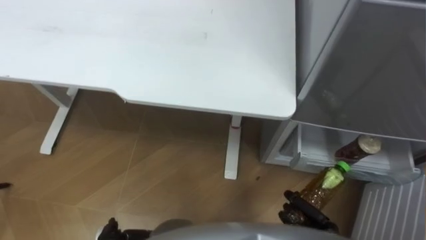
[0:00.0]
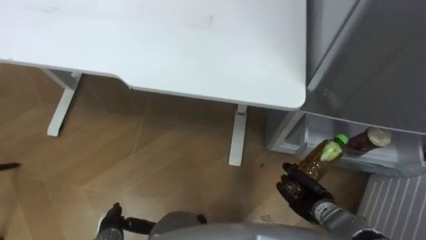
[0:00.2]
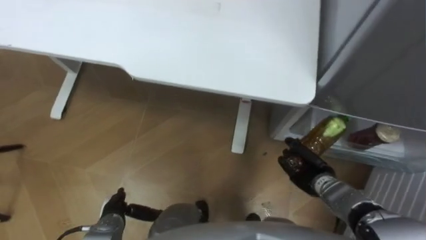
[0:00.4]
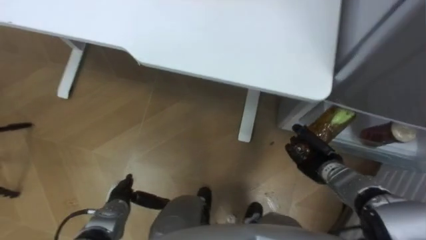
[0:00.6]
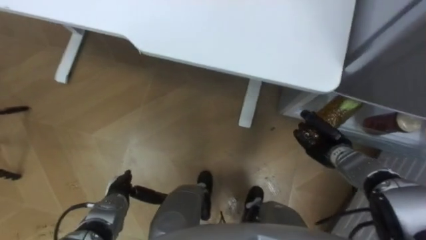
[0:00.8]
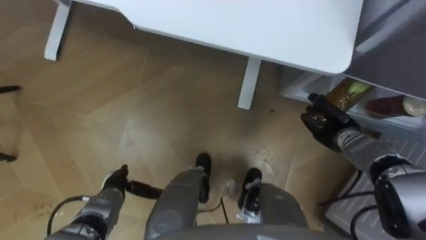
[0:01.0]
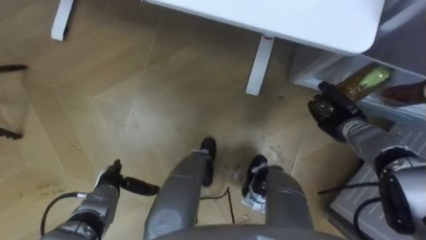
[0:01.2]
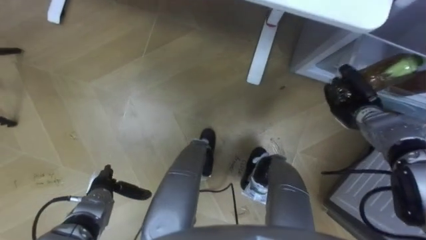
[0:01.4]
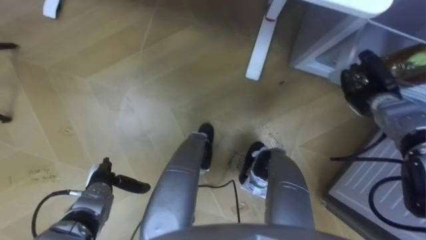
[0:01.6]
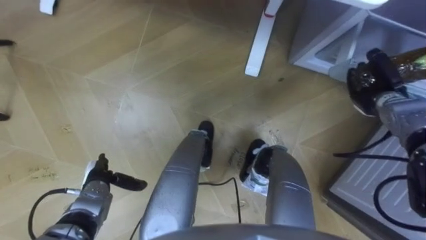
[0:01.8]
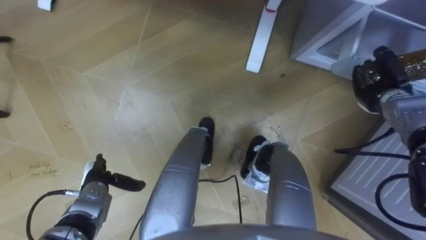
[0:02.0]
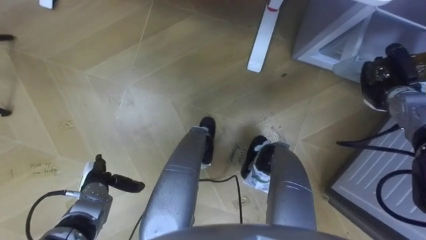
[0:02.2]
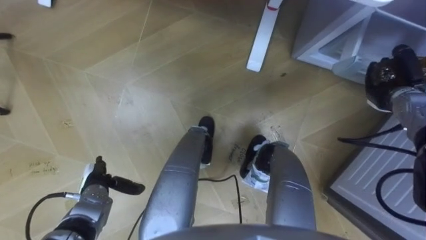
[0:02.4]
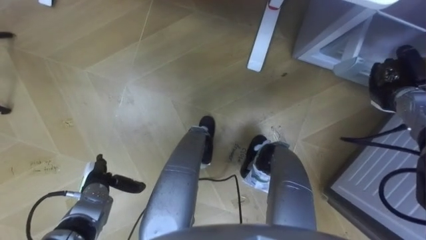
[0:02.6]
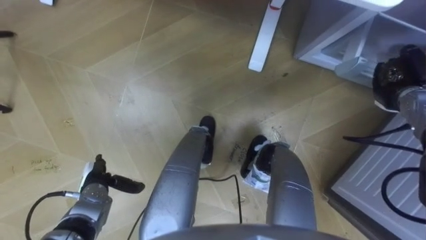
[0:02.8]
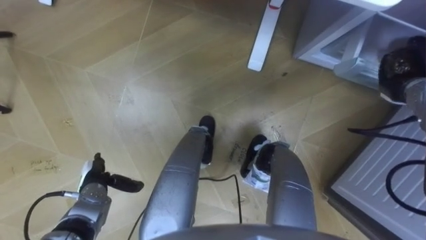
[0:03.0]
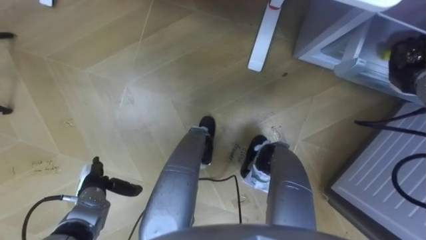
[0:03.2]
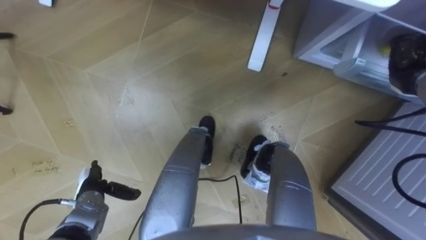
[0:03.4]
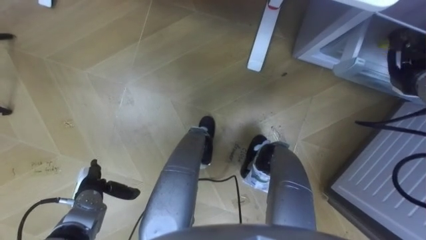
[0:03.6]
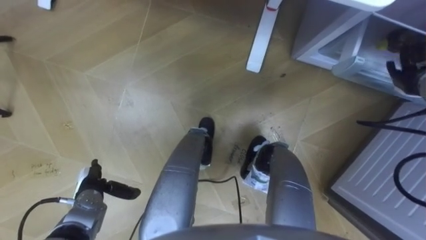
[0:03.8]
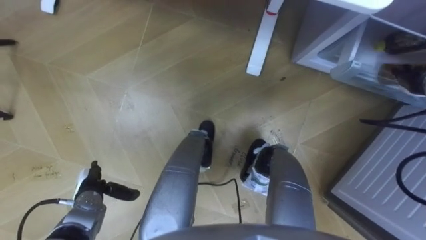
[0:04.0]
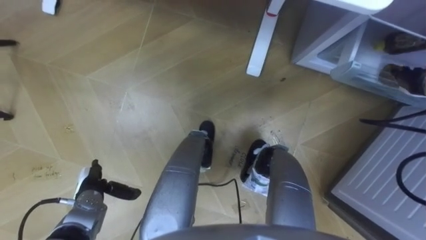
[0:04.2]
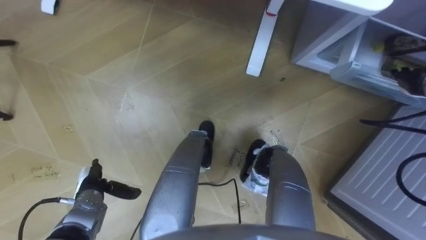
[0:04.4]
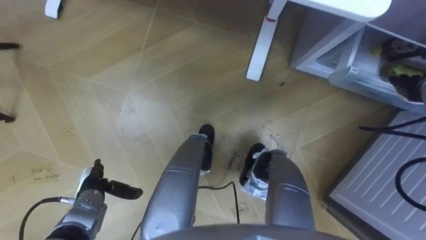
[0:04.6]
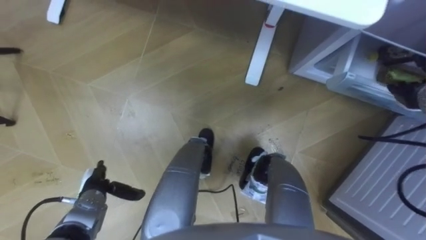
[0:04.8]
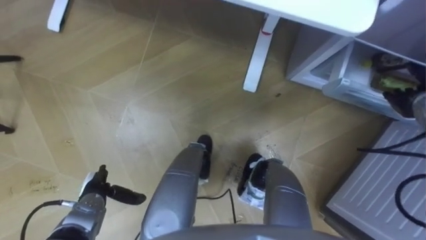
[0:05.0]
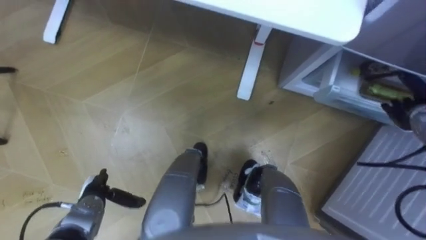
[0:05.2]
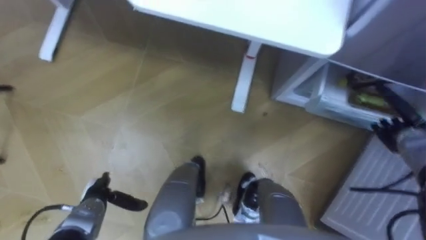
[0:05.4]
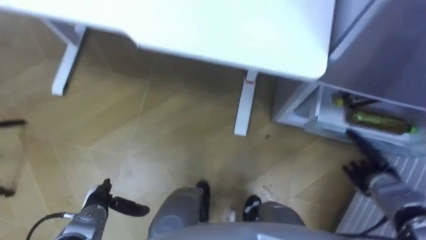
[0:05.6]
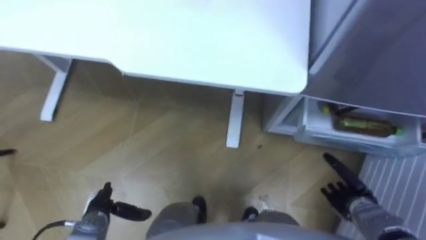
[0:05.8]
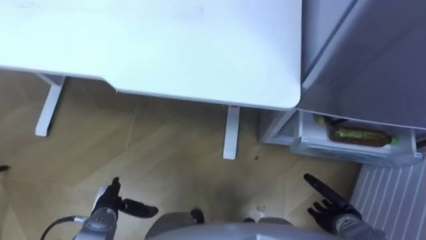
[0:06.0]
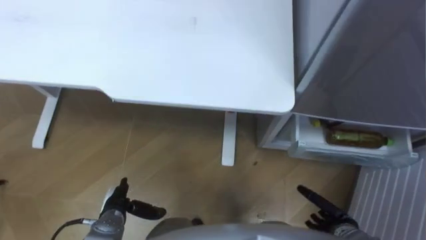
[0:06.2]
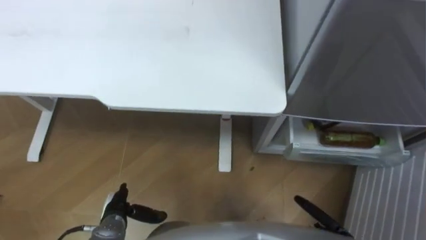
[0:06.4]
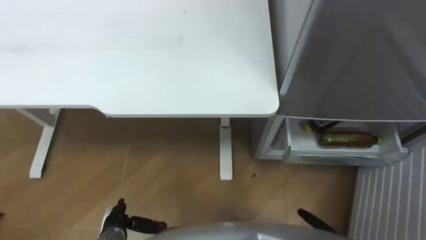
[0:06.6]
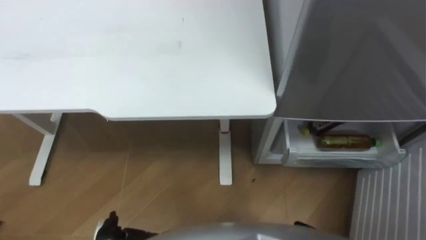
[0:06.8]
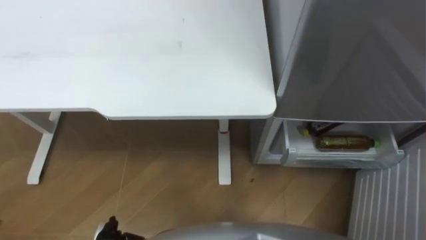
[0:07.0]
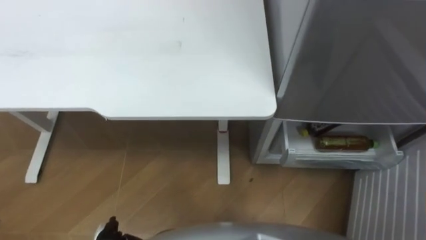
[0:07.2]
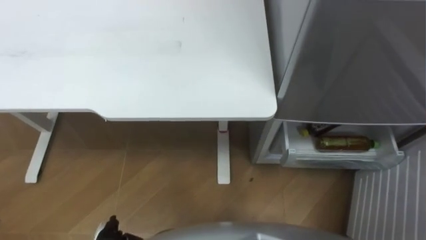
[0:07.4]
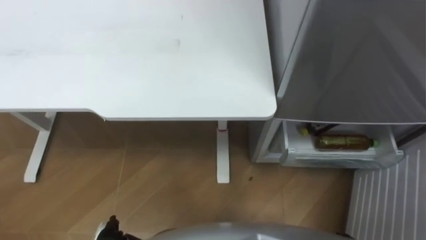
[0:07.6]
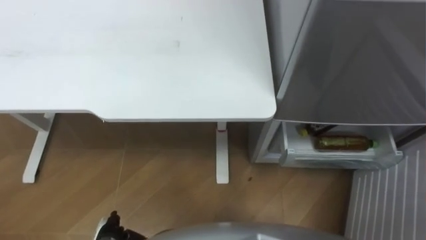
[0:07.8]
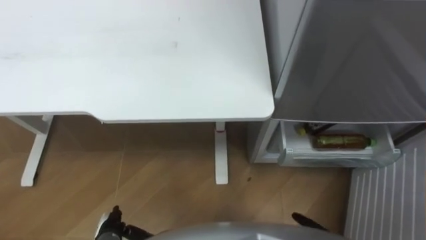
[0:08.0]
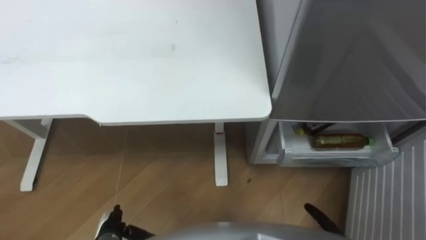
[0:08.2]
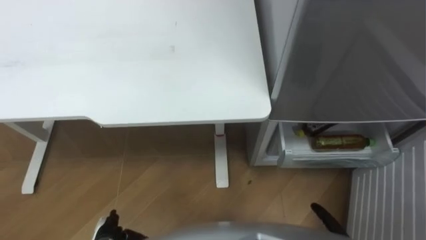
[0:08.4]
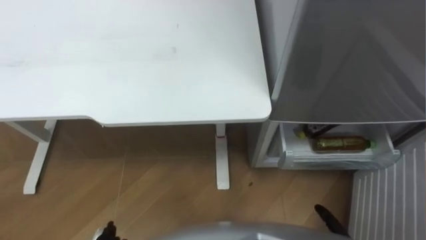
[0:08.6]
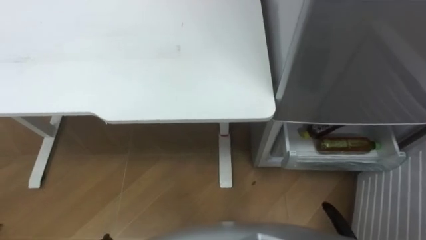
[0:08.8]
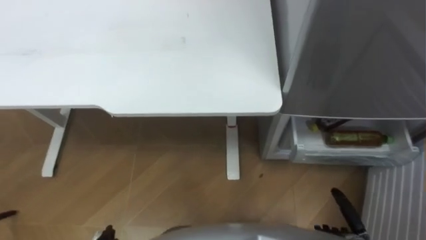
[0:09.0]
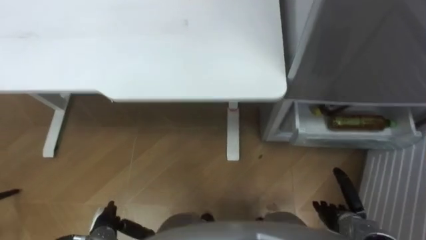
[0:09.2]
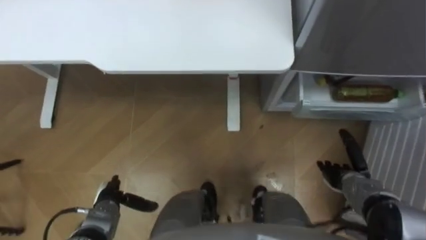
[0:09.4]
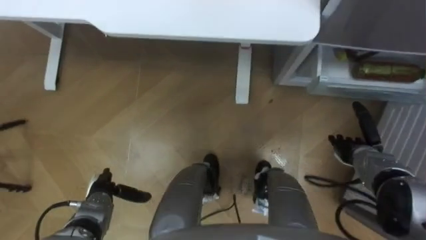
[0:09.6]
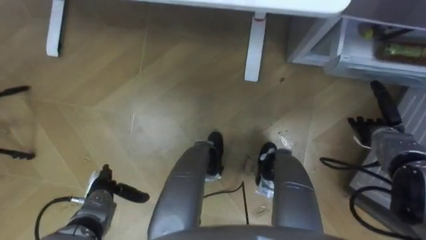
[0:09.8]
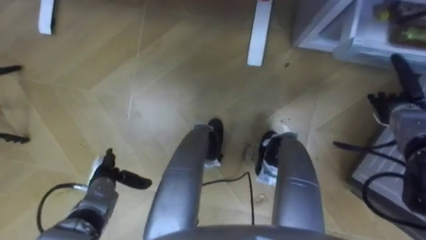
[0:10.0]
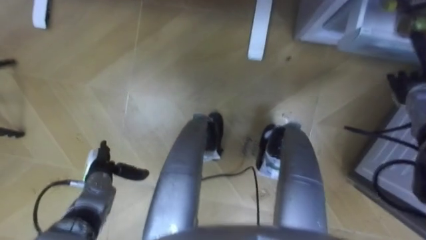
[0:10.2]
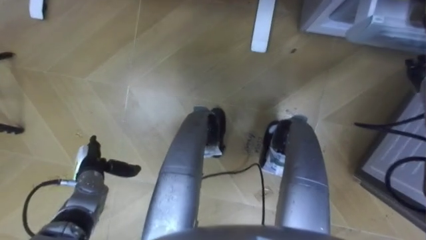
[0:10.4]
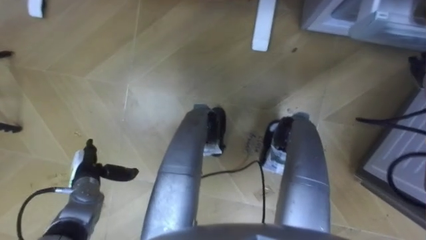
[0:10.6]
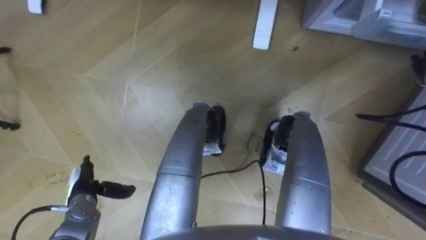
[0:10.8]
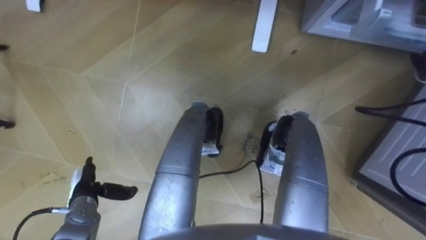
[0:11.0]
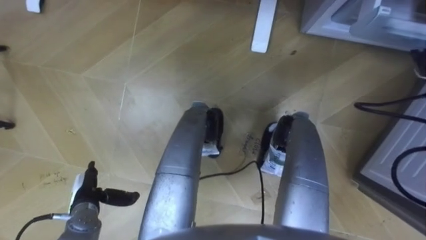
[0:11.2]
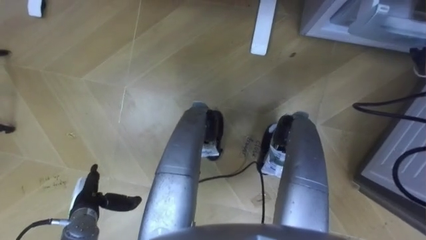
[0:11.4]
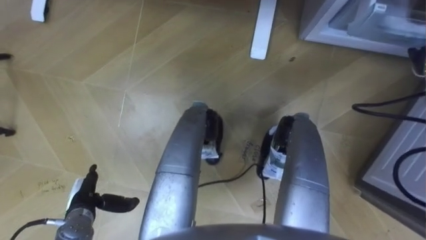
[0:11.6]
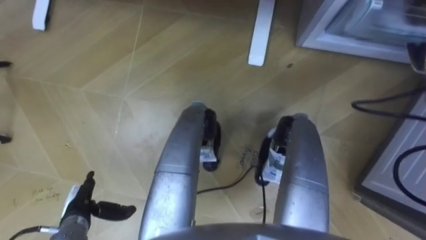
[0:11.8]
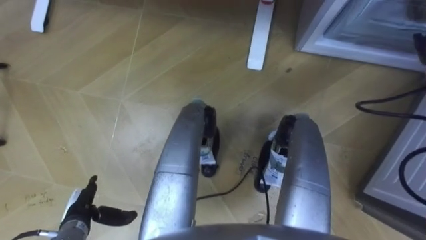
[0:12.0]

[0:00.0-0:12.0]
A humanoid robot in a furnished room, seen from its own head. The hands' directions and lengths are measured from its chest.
Task of the whole recording: Place the drink on the table on the bottom shelf of the refrigerator, then close the drawer and the refrigerator door.
0:00.0 to 0:01.6: The right hand heads forward and upward, covering approximately 30 cm.
0:01.6 to 0:03.0: The right hand travels to the right by about 5 cm.
0:03.0 to 0:04.4: The right hand opens up.
0:04.4 to 0:06.0: The left hand moves about 5 cm; the right hand moves backward, downward and to the left, roughly 35 cm.
0:10.4 to 0:12.0: The left hand is displaced backward by some 10 cm.

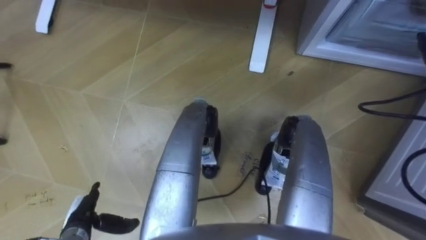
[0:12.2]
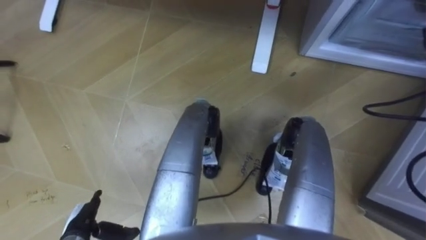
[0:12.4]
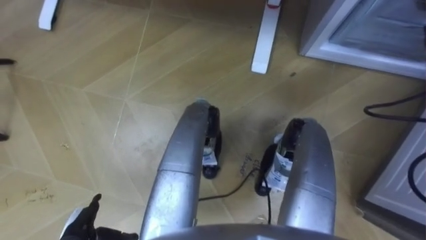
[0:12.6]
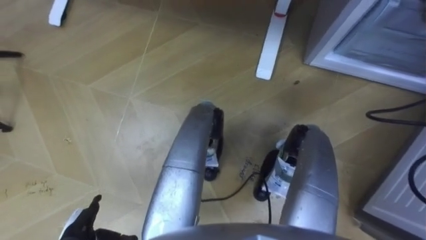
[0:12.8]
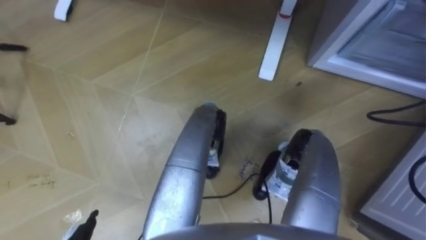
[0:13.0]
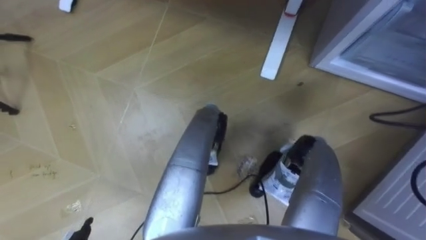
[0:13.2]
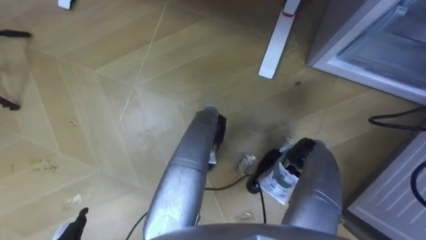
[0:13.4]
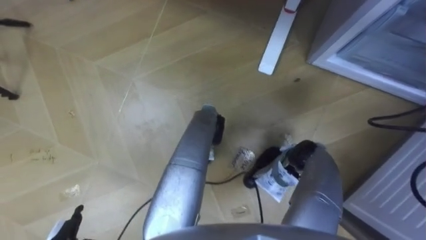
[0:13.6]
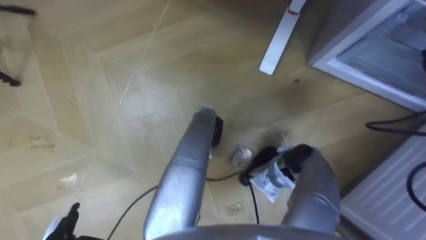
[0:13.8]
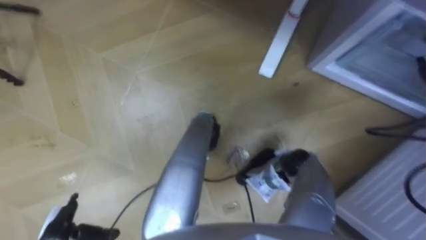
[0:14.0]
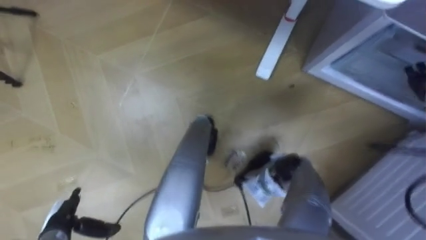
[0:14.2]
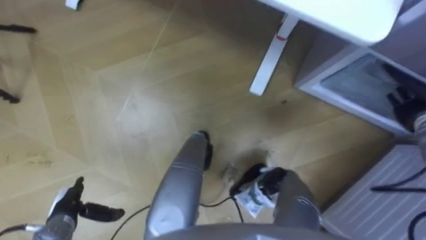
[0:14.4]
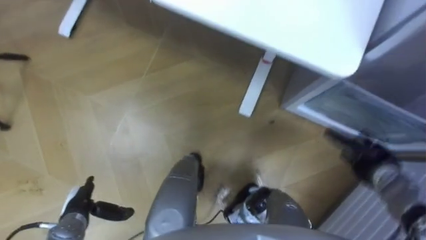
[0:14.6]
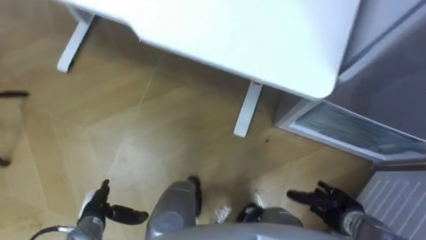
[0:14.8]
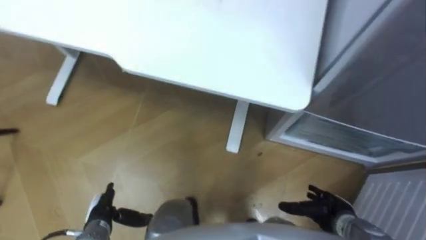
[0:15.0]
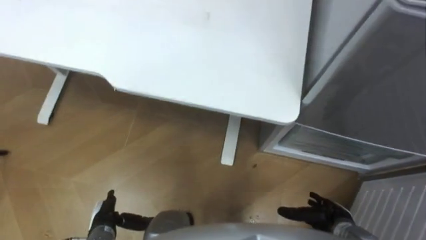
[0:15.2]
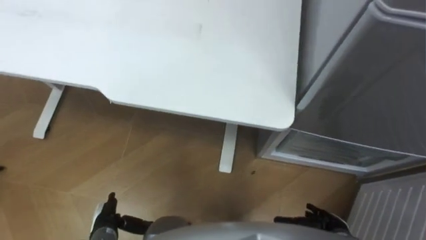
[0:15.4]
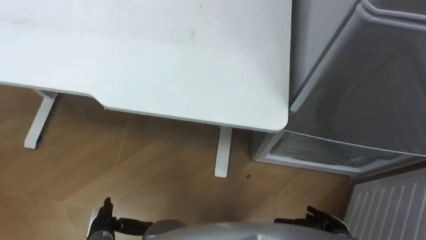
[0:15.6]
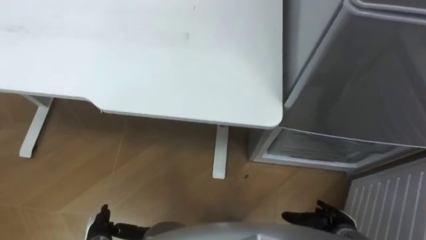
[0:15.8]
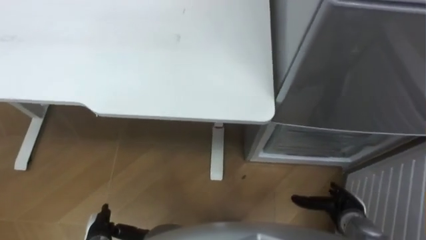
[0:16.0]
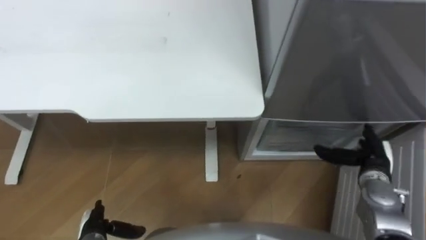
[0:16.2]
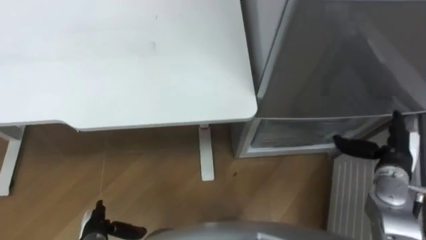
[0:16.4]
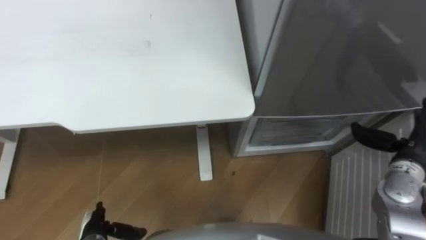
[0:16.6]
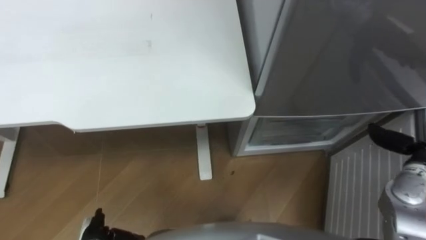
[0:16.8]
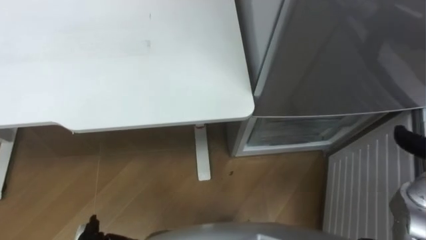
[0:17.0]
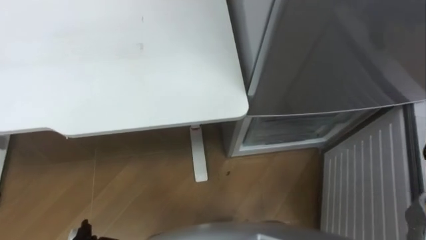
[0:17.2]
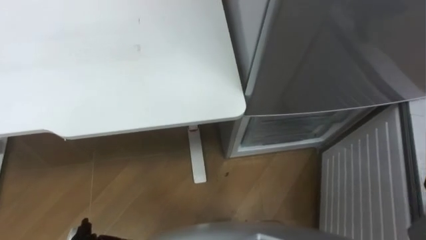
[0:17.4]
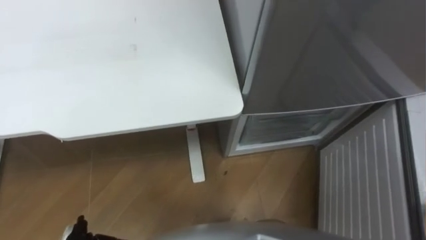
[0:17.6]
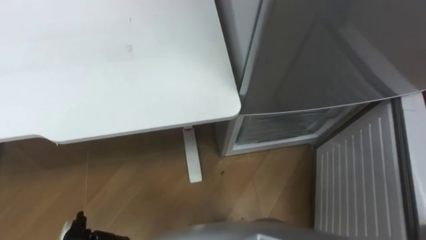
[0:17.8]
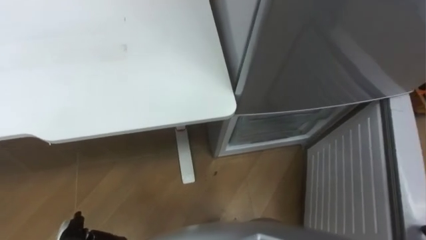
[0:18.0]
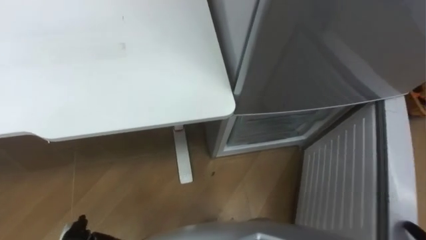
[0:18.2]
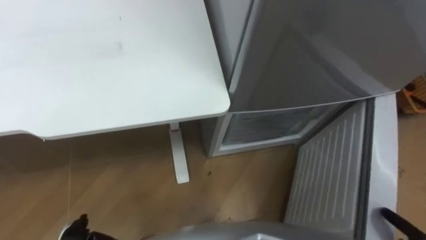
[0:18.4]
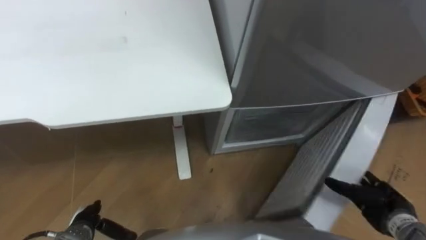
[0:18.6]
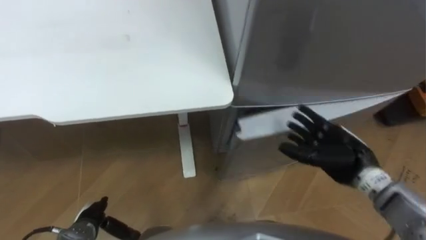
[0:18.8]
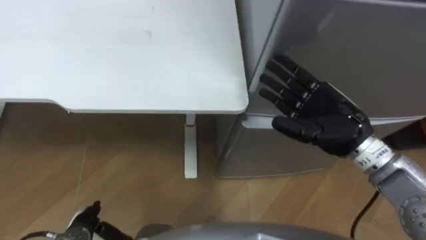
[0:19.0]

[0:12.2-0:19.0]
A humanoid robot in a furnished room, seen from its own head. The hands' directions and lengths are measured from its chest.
Task of the whole recording: Place the drink on the table on the bottom shelf of the refrigerator, then close the drawer and the refrigerator door.
0:15.0 to 0:16.2: The right hand moves forward, upward and to the right, roughly 10 cm.
